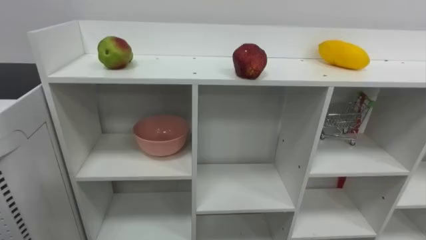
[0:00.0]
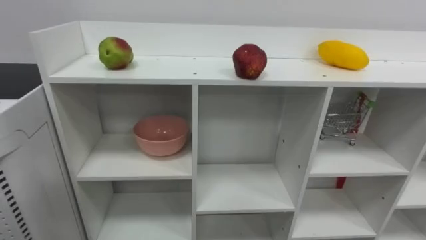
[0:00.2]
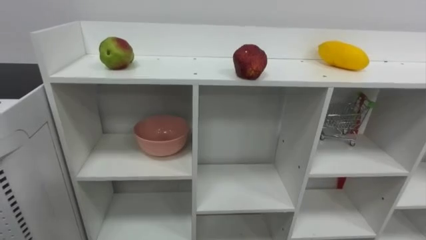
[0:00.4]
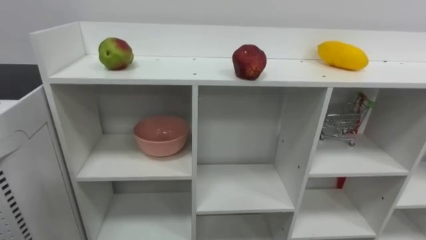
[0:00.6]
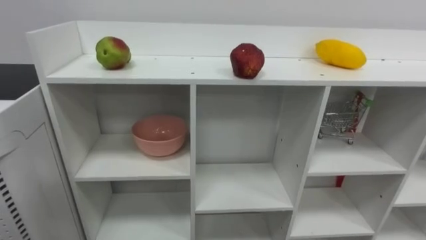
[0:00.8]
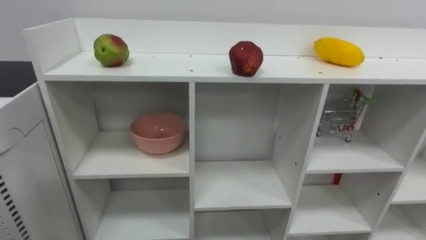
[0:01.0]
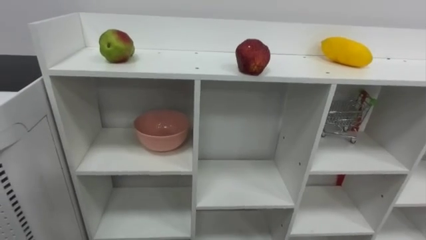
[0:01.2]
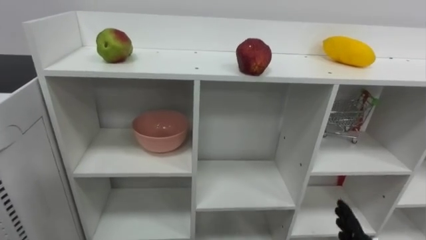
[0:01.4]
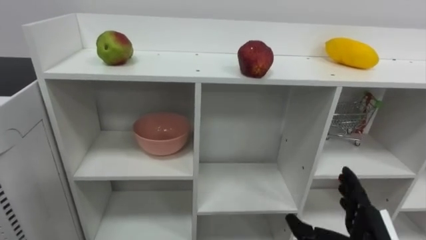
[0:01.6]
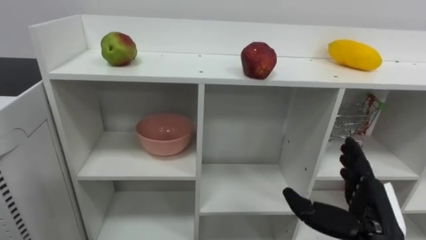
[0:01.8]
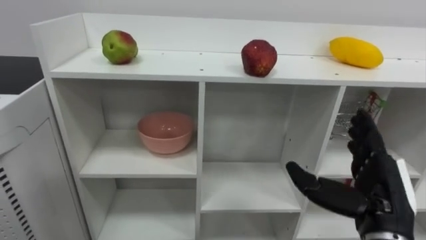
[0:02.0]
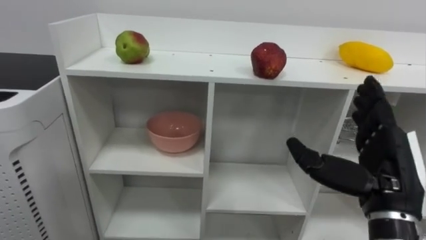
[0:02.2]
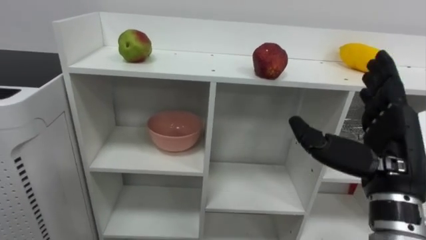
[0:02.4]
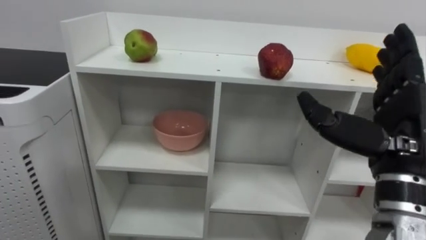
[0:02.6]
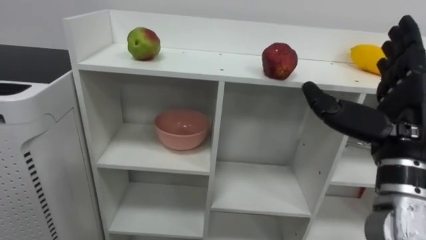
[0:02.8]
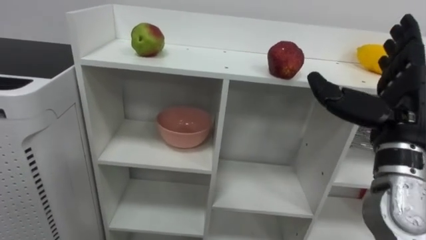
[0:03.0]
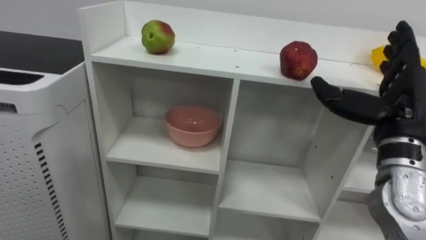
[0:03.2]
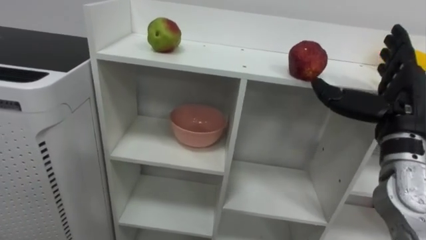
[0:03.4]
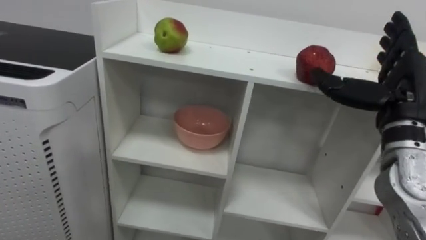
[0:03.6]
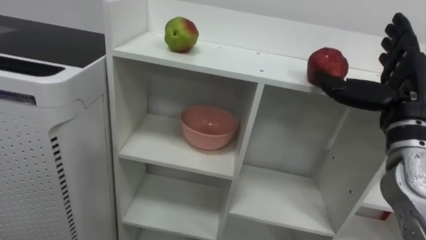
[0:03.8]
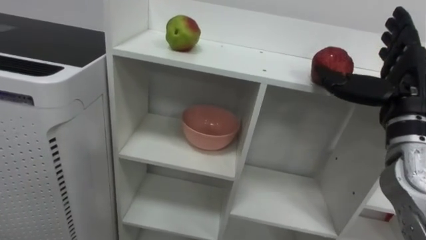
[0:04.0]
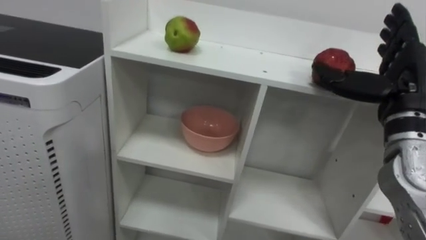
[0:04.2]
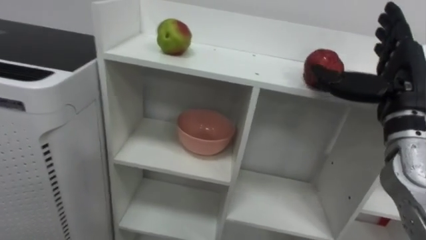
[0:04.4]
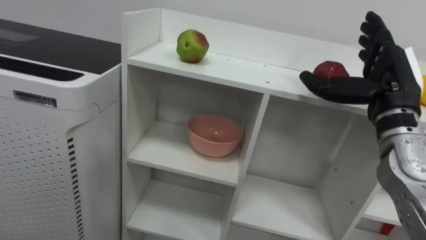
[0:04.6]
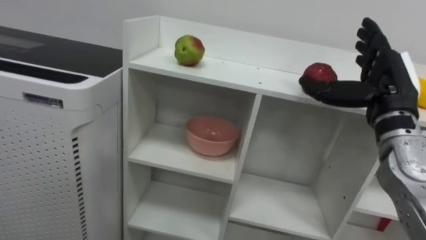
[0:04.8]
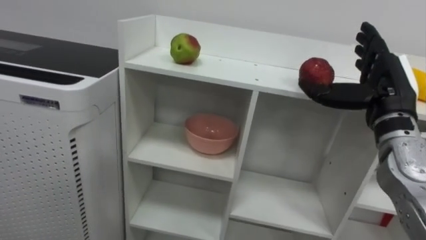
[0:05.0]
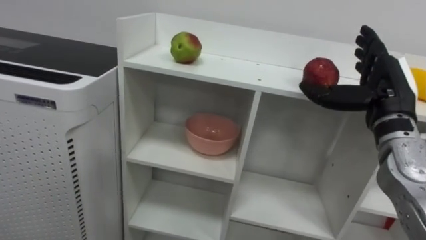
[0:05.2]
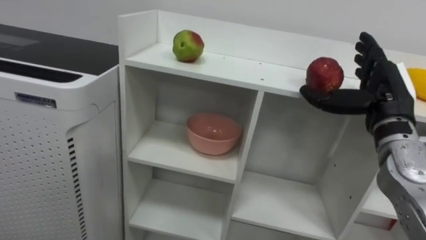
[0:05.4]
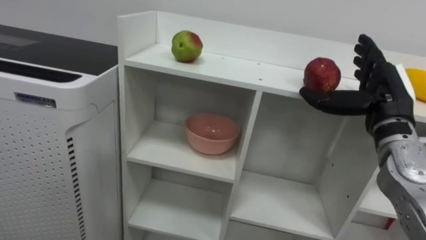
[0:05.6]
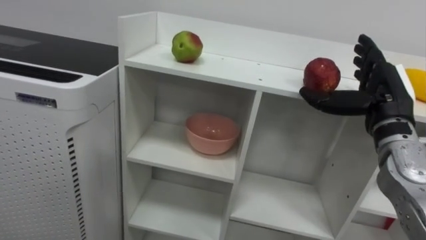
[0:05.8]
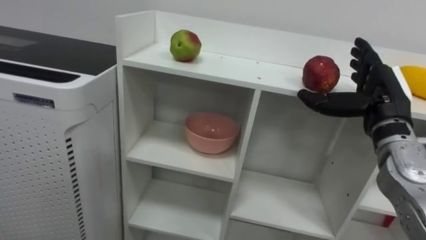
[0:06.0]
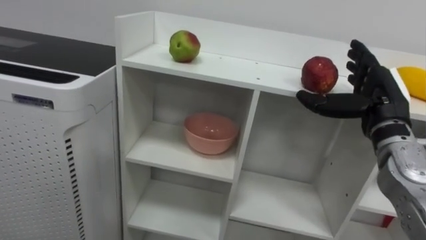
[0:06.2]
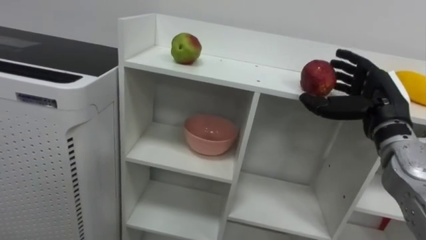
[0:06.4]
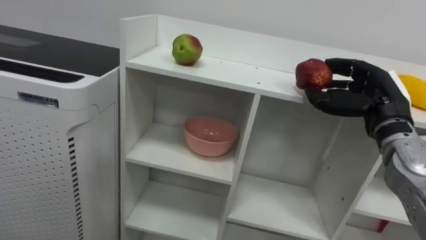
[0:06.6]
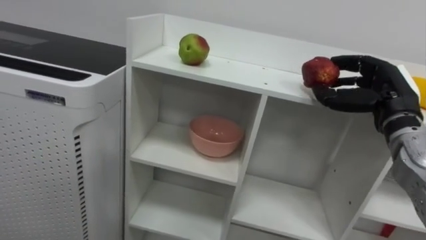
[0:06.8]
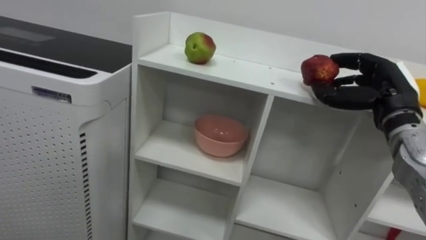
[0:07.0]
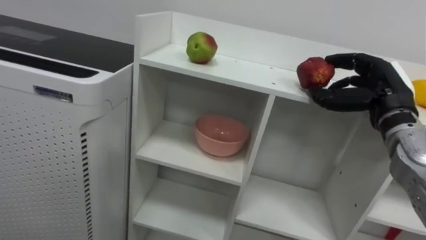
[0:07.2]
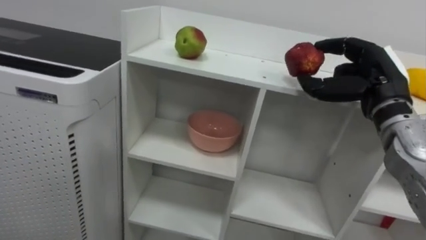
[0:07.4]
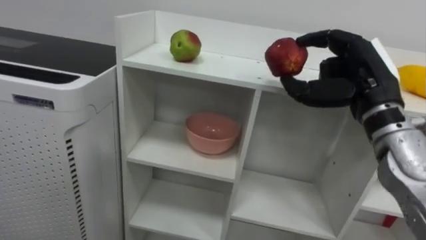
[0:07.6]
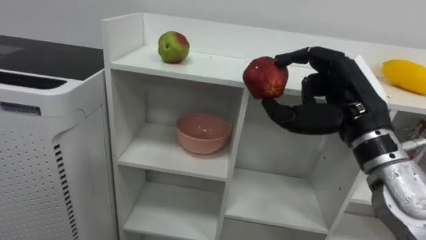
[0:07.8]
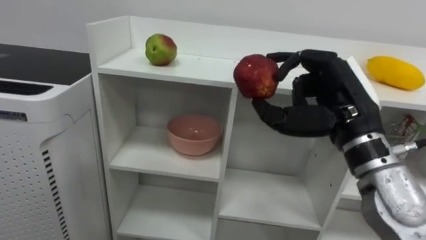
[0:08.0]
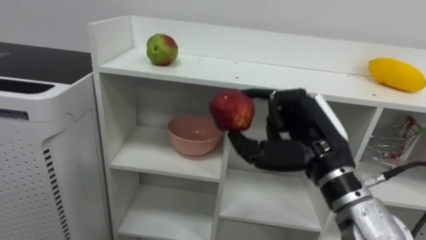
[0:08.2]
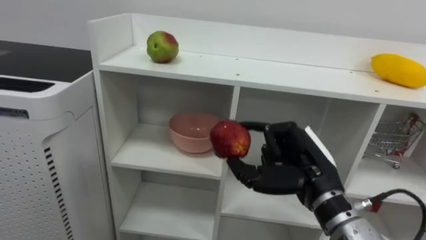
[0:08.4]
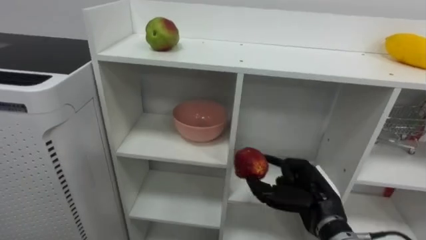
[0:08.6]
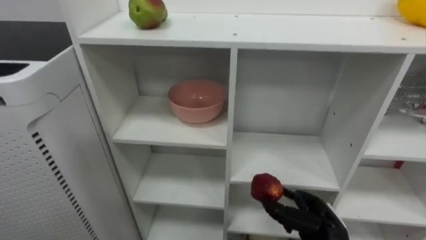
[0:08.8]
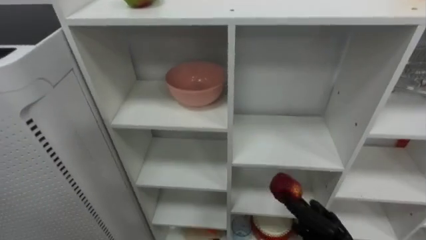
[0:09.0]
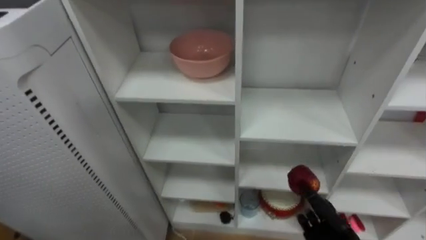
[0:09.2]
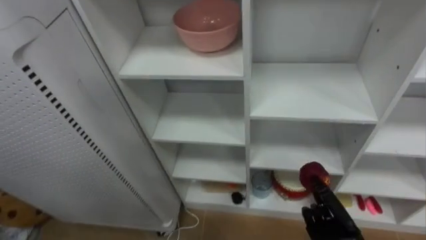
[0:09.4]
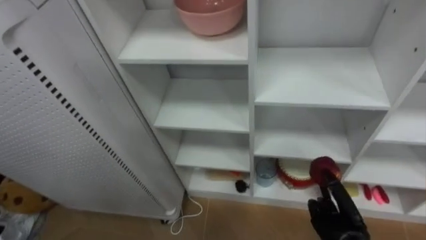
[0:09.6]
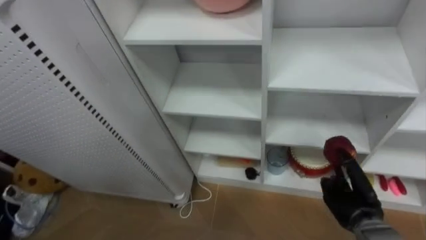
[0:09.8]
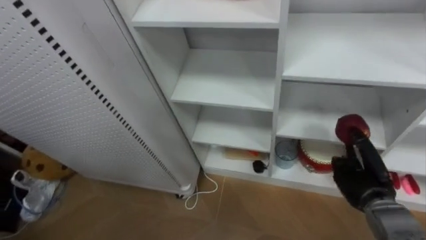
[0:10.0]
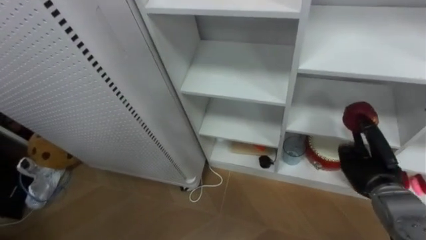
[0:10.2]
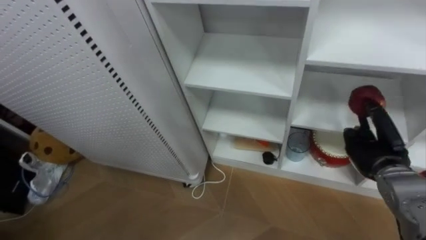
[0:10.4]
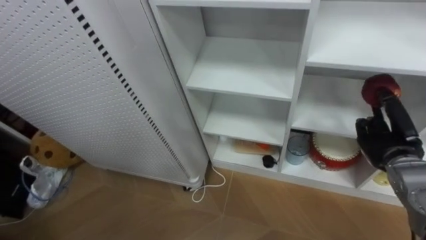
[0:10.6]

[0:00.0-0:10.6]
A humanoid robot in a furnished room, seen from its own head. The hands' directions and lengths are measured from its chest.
Task of the whole recording: Put the apple in the cell in the second column from the left and the second row from the top.
0:03.0 to 0:04.6: The right hand shifts roughly 5 cm forward.
0:06.0 to 0:07.6: The right hand ends up approximately 5 cm from where it was, and closes its fingers.
0:07.6 to 0:09.0: The right hand heads downward, covering approximately 30 cm.
0:09.0 to 0:10.6: The right hand moves upward, to the right and forward, some 20 cm.

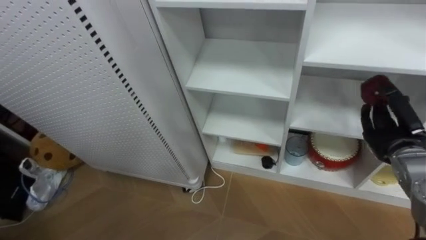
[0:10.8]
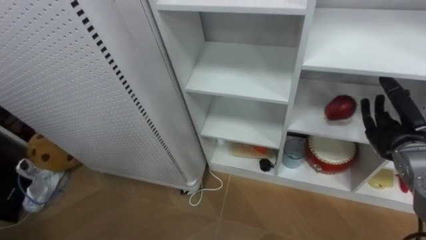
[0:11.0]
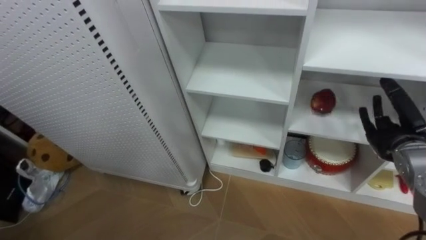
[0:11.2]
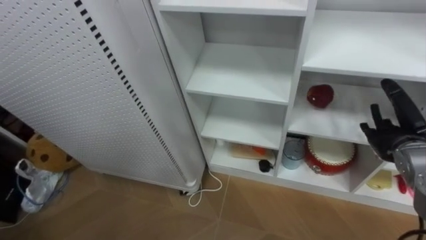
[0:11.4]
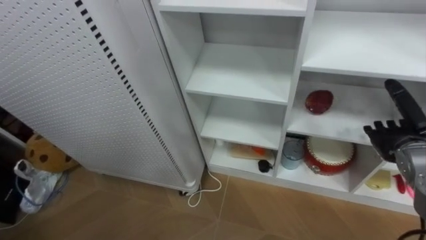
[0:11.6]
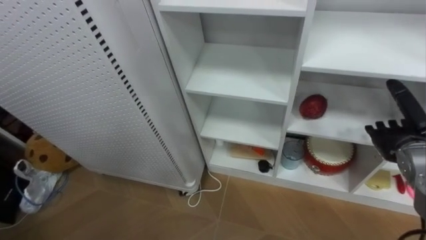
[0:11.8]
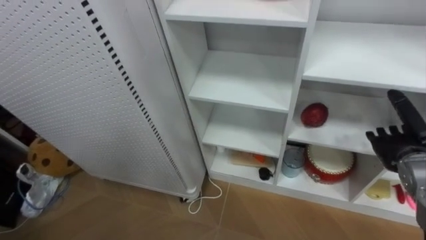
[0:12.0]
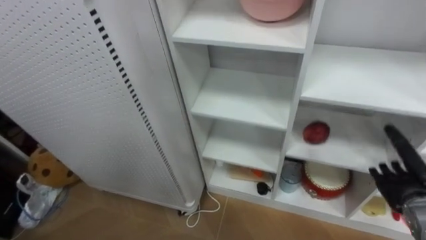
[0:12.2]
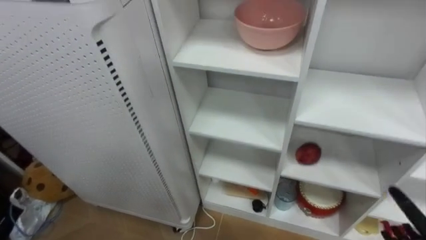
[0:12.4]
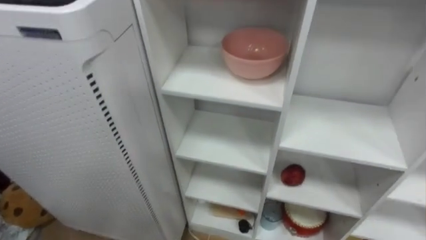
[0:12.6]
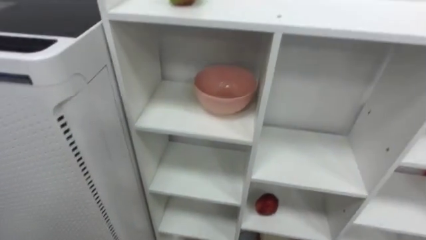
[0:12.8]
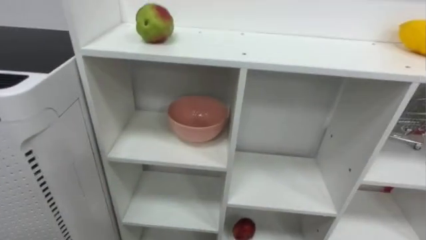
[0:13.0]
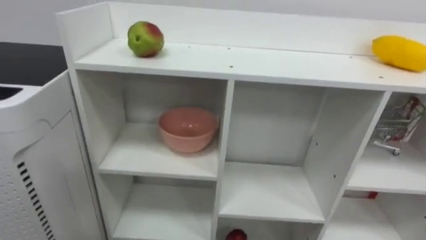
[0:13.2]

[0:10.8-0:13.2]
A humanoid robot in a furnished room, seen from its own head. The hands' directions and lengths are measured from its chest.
Task of the whole recording: Put the apple in the cell in the second column from the left and the second row from the top.
0:10.8 to 0:12.0: The right hand opens up.

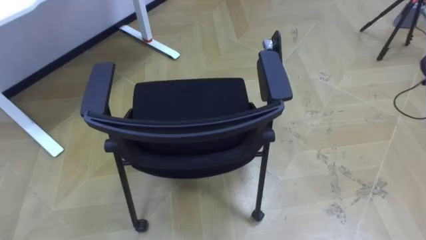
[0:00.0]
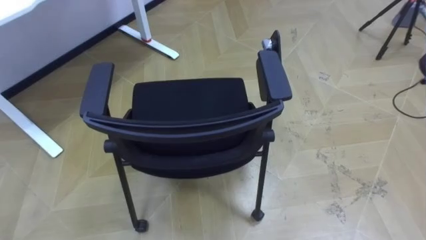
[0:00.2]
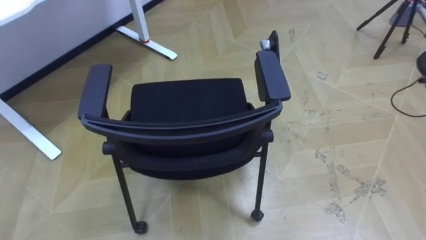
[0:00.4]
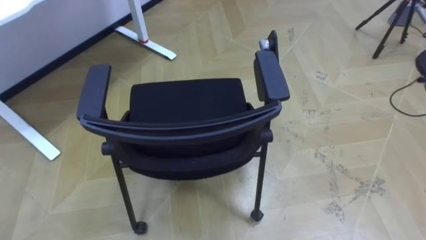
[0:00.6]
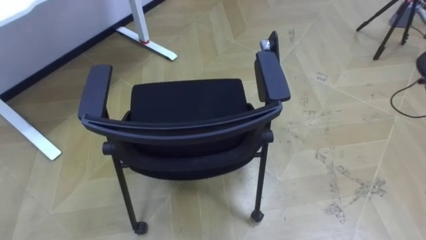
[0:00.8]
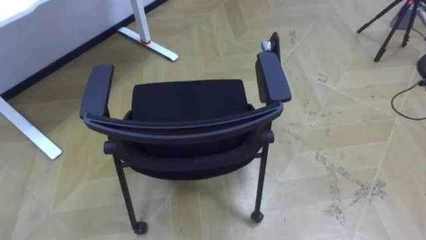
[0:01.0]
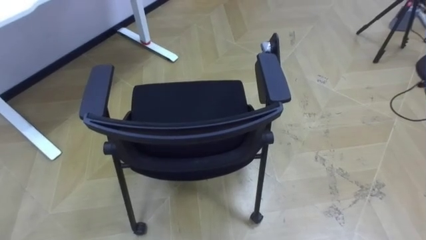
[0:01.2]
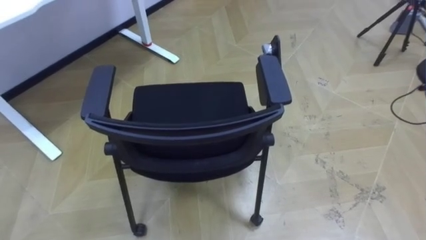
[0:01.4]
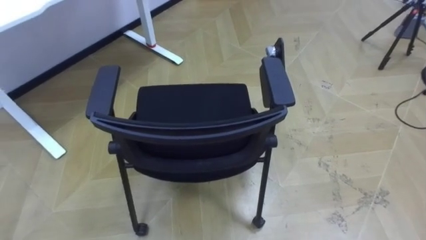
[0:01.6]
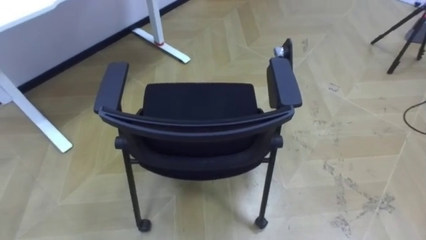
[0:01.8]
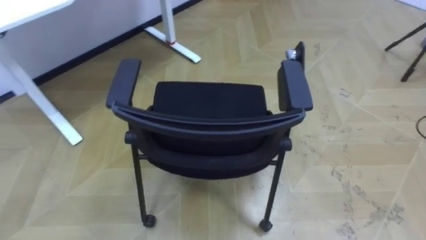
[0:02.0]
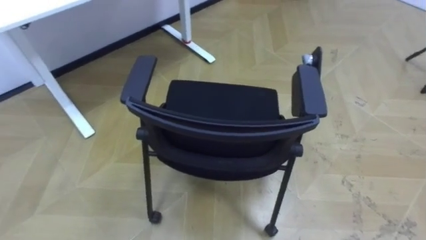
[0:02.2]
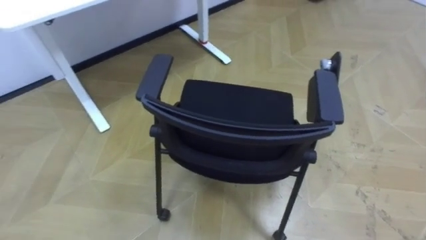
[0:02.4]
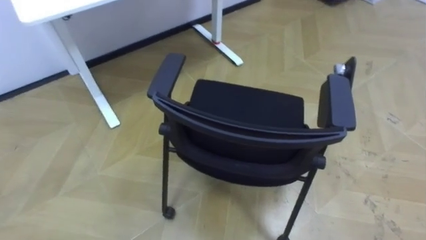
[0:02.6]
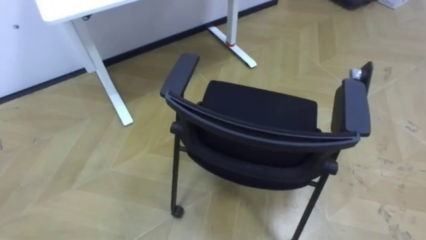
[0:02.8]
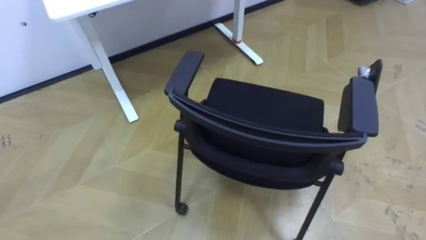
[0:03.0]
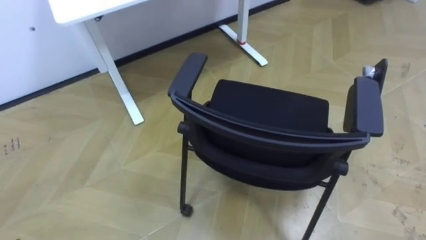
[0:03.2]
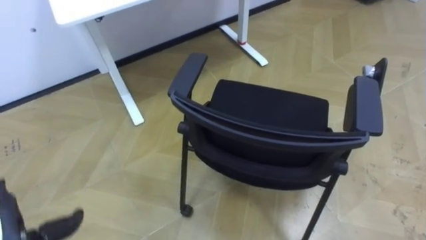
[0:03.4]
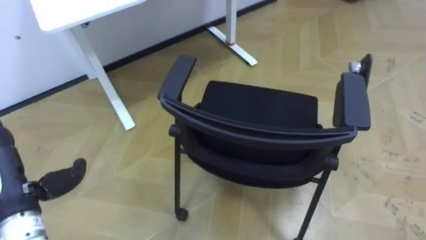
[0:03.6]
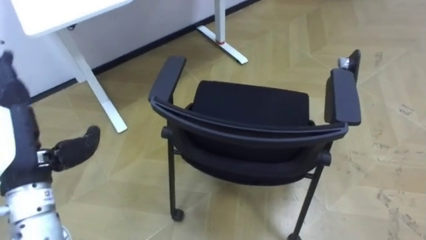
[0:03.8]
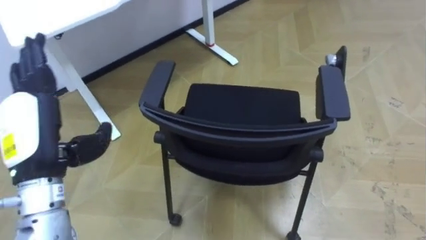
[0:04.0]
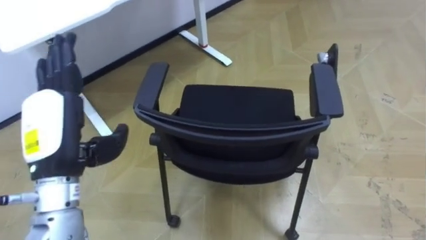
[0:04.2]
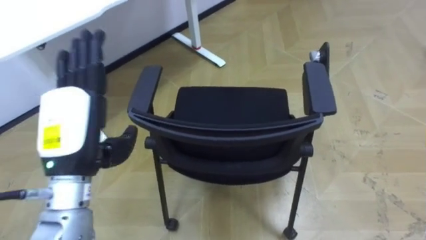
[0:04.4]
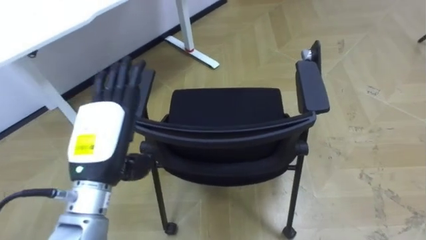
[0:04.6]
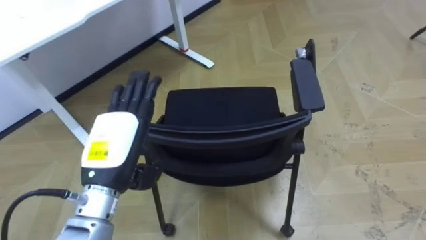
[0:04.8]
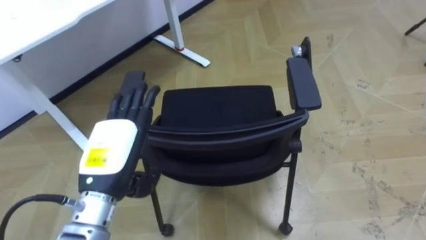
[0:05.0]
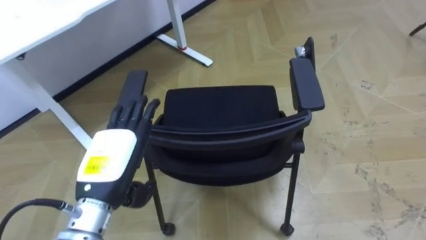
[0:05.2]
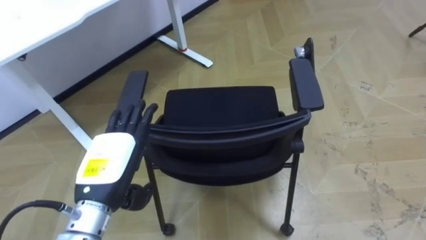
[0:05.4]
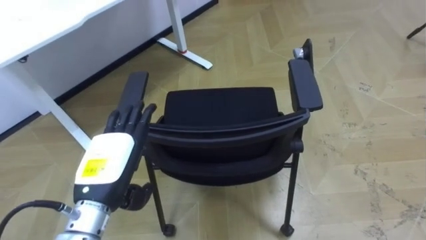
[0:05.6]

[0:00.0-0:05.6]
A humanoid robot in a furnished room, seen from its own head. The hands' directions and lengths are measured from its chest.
Task of the whole recording: Push the chair under the table.
0:04.2 to 0:05.6: The left hand moves downward, approximately 10 cm.
